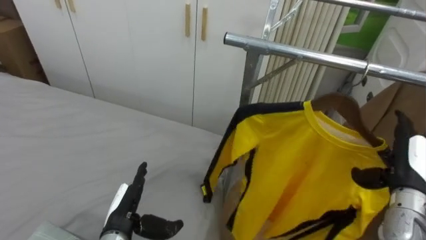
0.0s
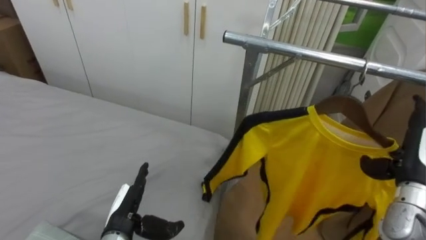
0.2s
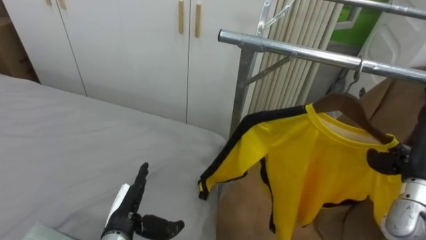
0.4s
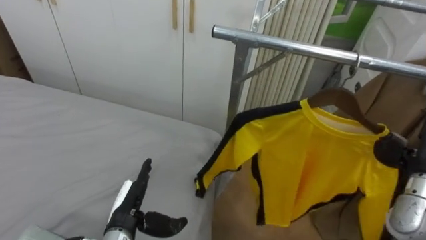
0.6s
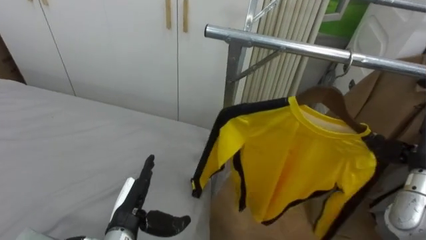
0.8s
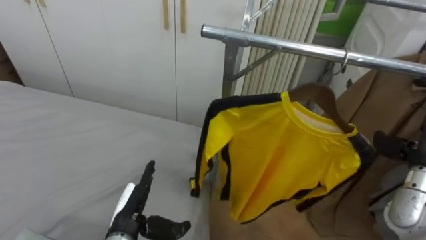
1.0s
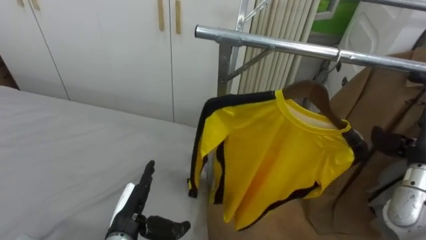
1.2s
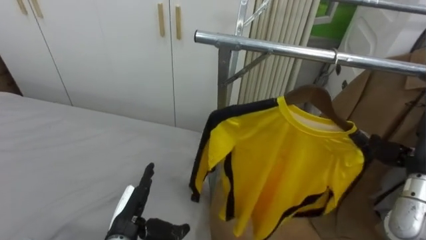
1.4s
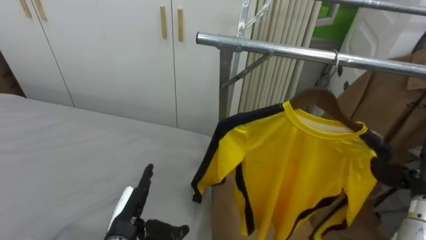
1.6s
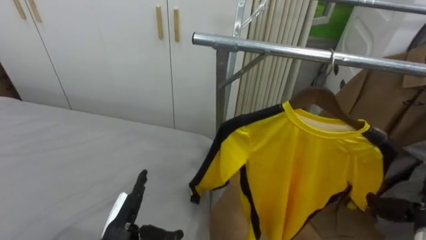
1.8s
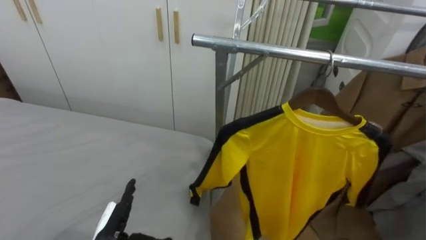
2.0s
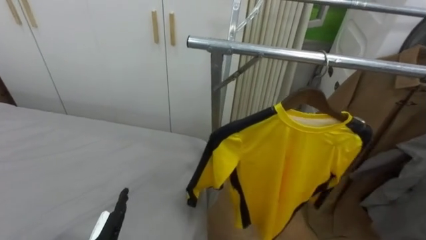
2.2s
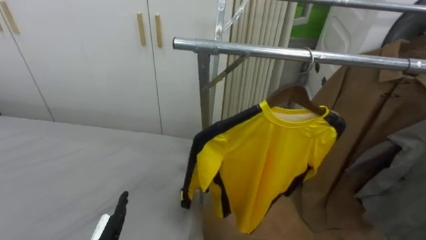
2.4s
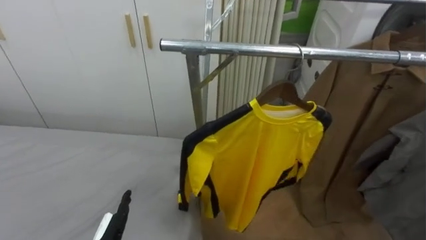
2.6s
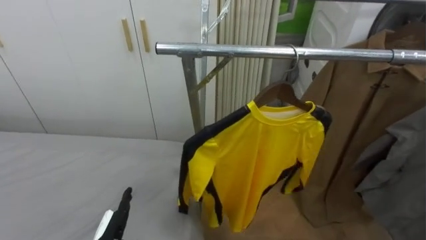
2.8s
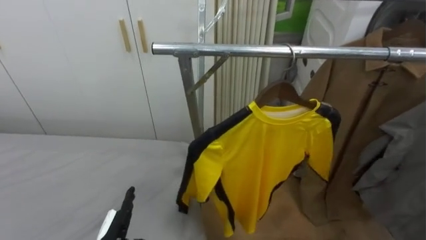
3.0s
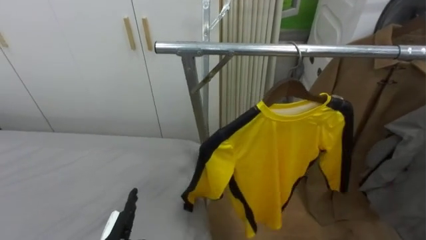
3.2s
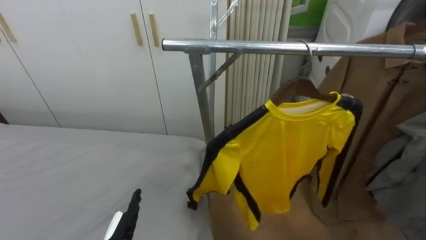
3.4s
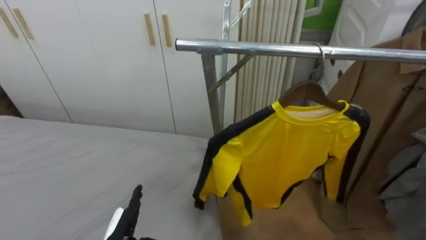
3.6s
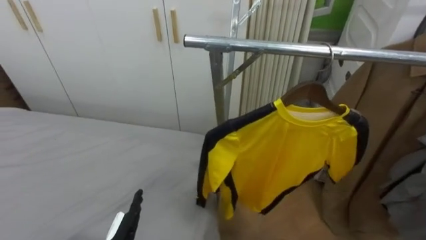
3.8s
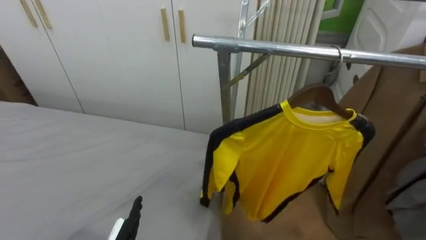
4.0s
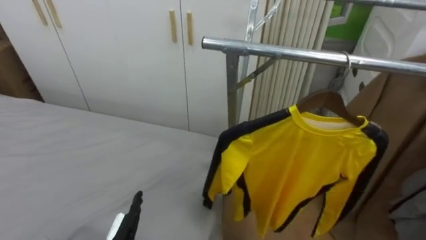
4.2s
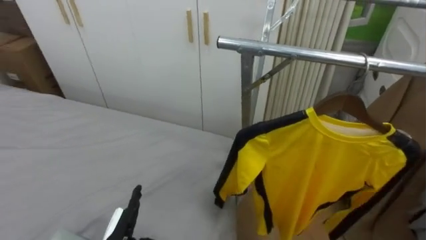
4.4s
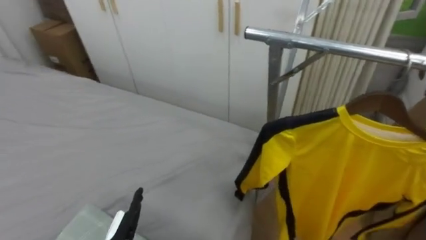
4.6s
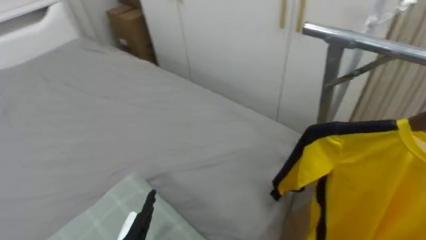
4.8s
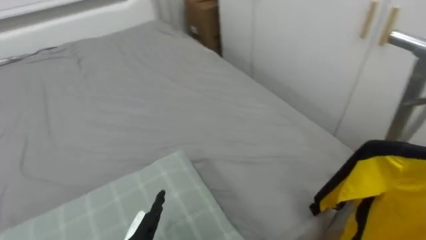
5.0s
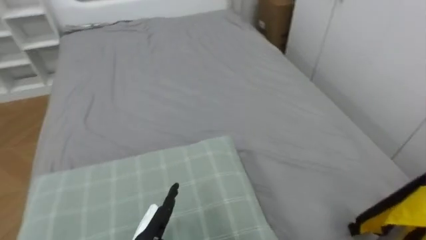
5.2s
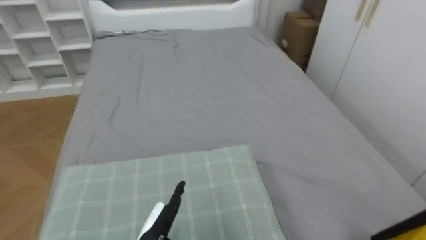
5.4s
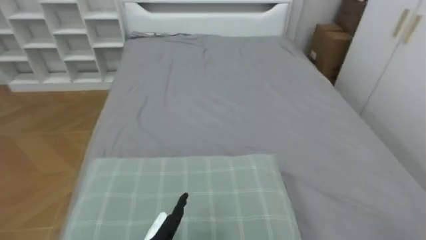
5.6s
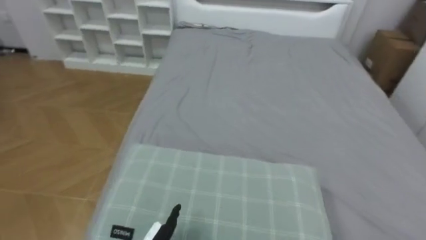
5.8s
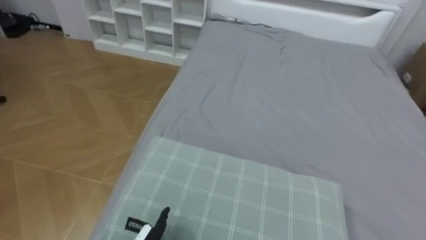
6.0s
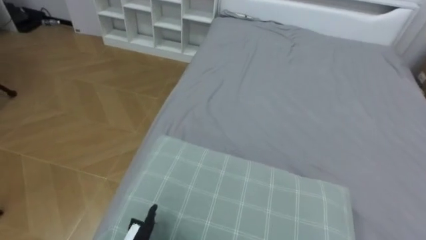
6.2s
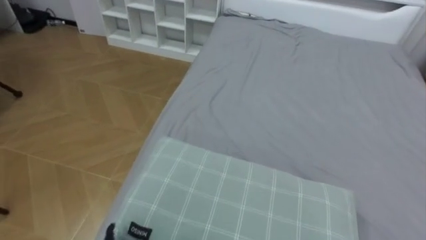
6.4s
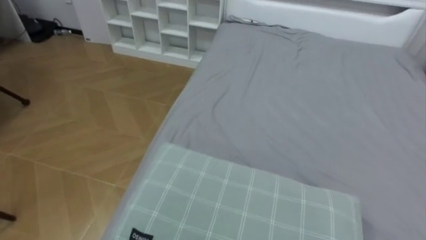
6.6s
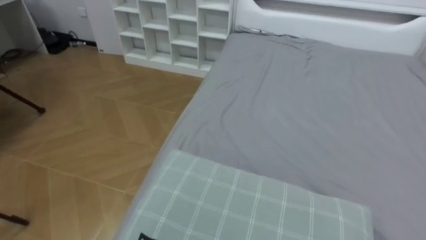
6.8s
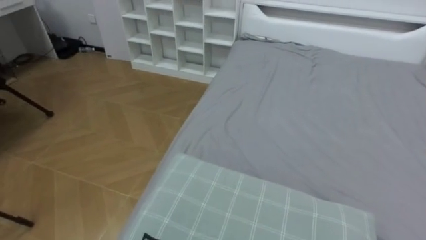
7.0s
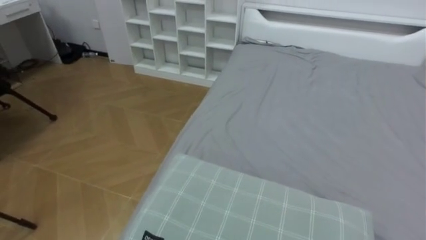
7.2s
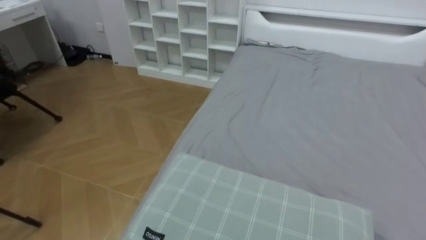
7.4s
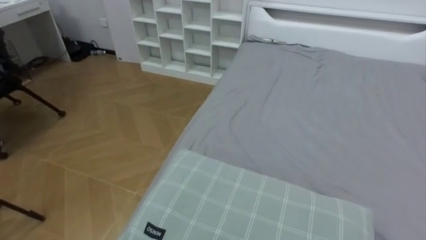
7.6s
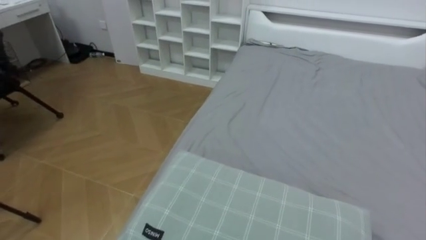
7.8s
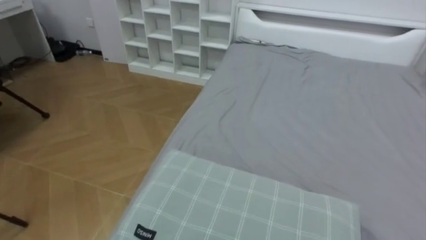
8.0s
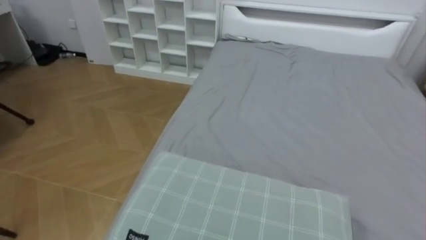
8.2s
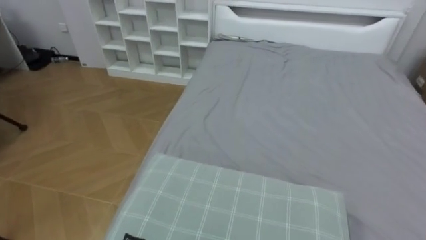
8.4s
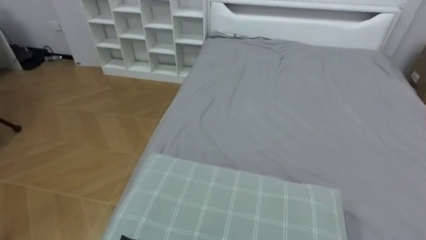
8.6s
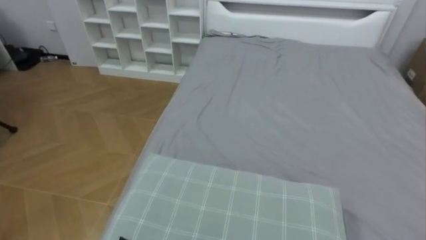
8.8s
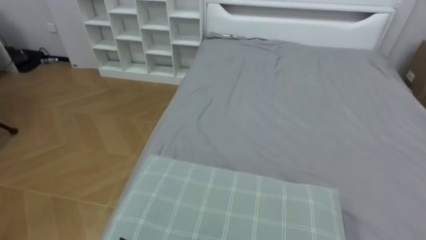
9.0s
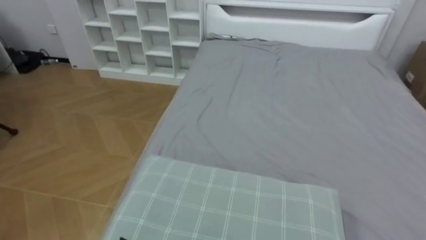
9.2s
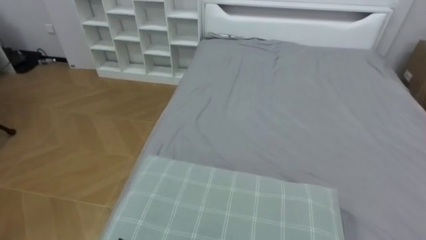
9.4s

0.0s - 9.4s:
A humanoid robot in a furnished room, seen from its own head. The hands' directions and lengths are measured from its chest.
Task of the whole recording: Pick up the yellow shirt on the bed and hang it on the clothes rack on the right.
3.2s - 4.8s: The robot rotates some 25 degrees to its left.
4.8s - 6.2s: The robot faces roughly 65 degrees further to its left.
